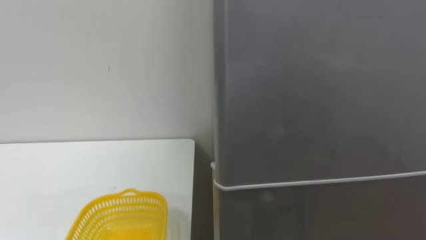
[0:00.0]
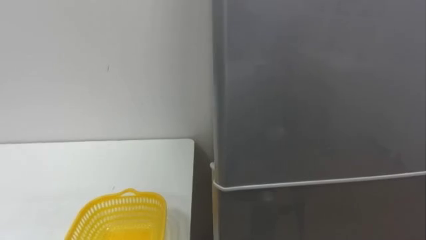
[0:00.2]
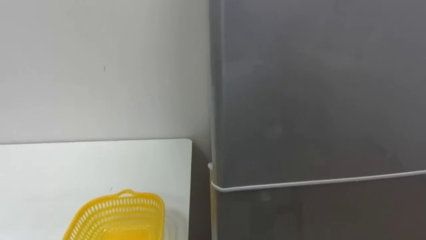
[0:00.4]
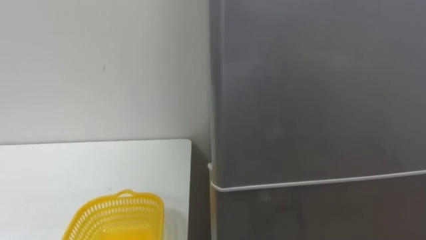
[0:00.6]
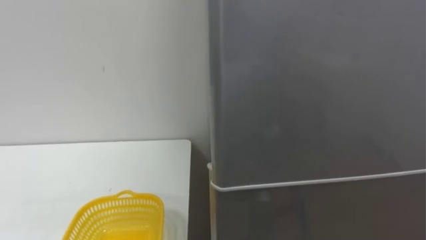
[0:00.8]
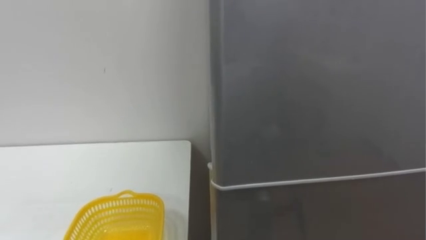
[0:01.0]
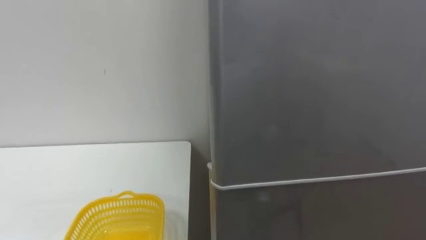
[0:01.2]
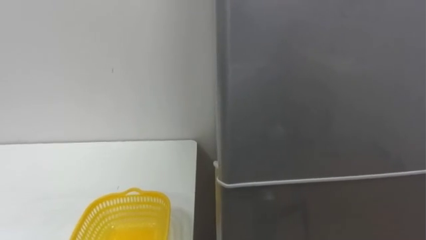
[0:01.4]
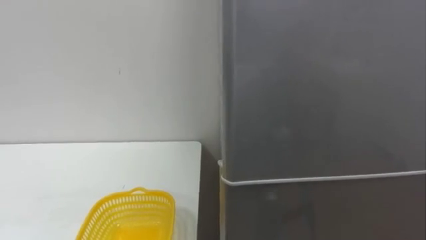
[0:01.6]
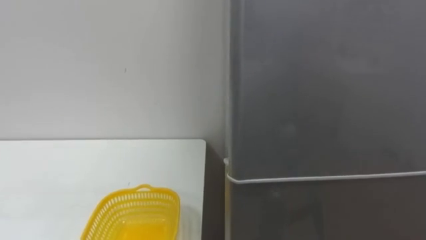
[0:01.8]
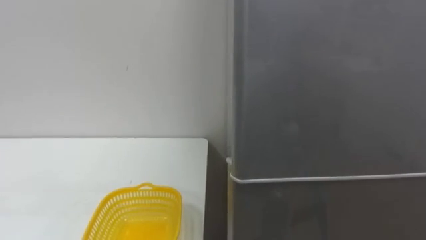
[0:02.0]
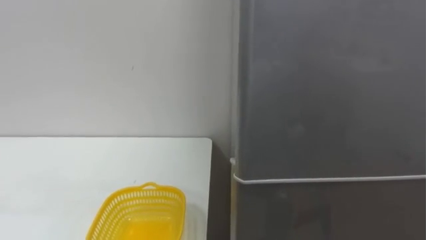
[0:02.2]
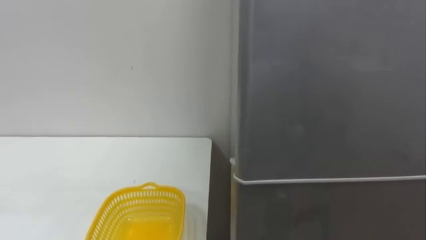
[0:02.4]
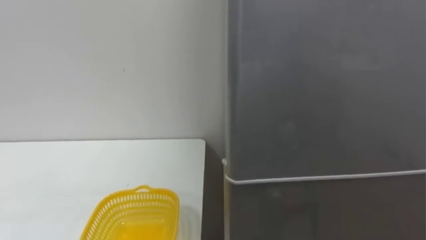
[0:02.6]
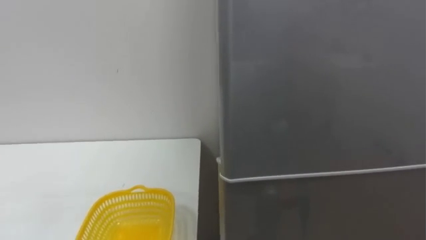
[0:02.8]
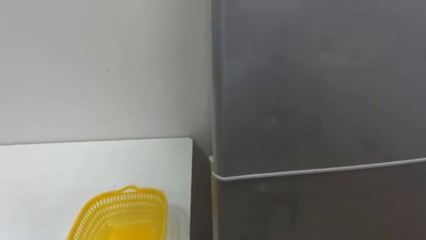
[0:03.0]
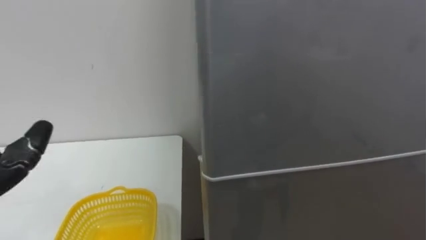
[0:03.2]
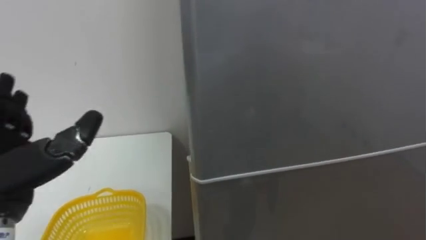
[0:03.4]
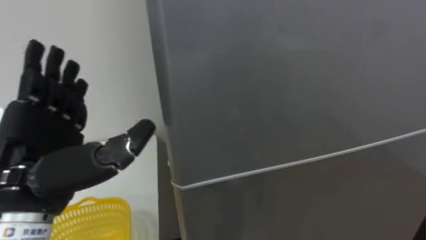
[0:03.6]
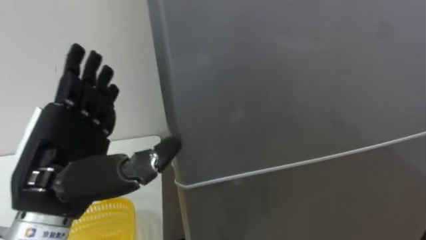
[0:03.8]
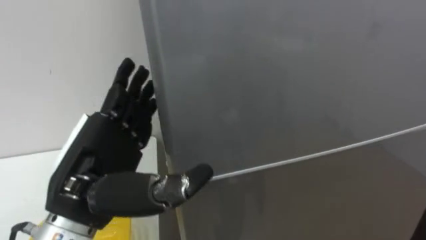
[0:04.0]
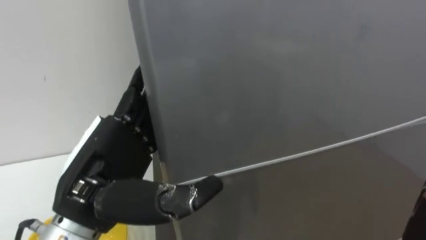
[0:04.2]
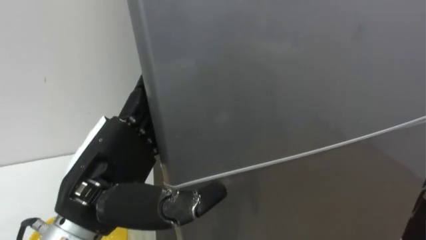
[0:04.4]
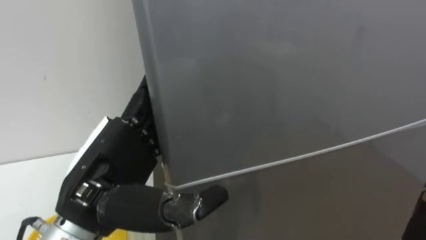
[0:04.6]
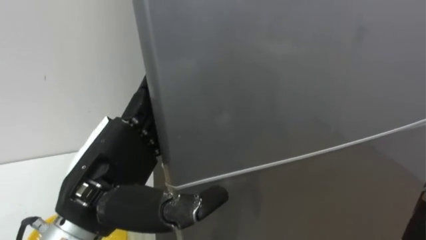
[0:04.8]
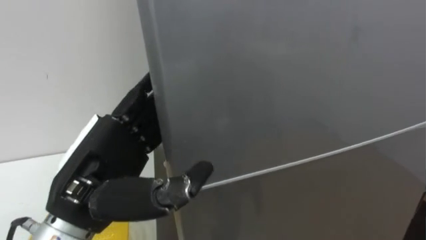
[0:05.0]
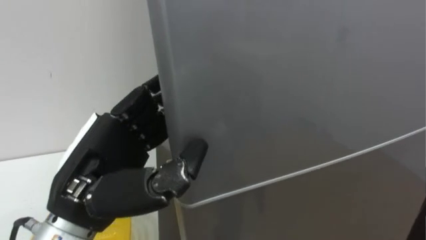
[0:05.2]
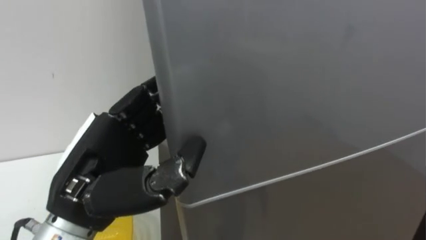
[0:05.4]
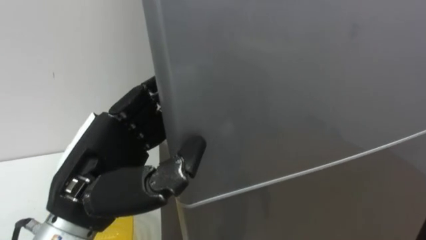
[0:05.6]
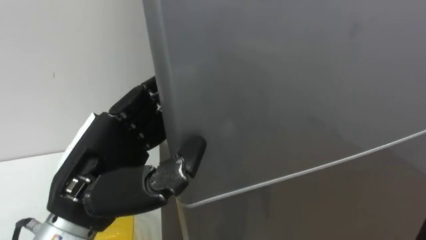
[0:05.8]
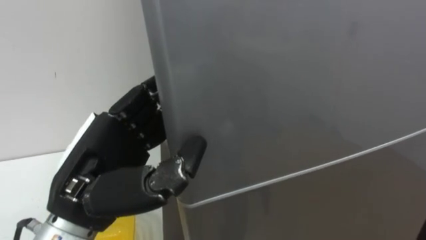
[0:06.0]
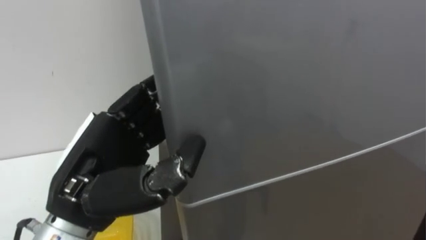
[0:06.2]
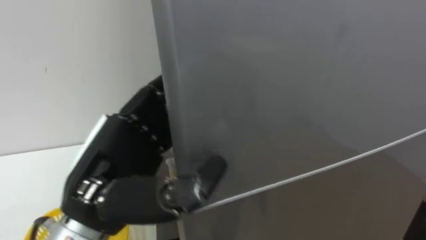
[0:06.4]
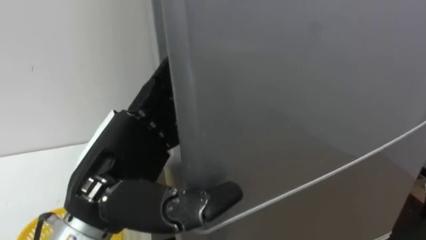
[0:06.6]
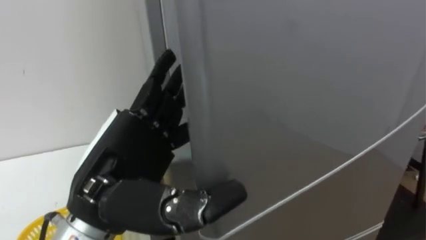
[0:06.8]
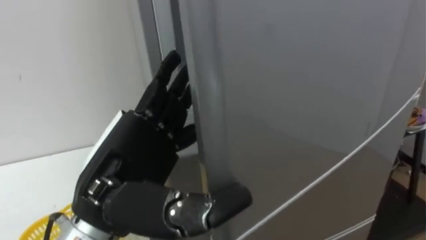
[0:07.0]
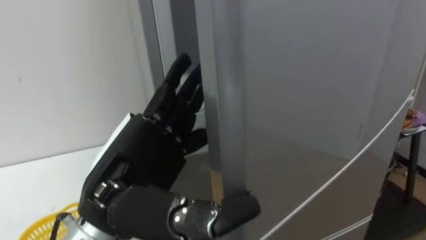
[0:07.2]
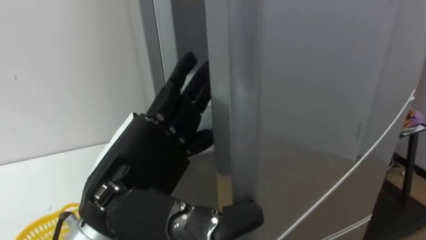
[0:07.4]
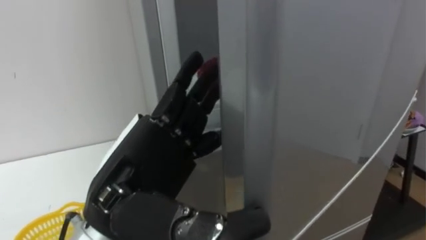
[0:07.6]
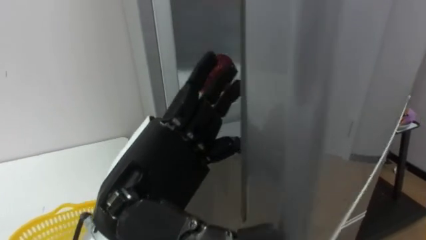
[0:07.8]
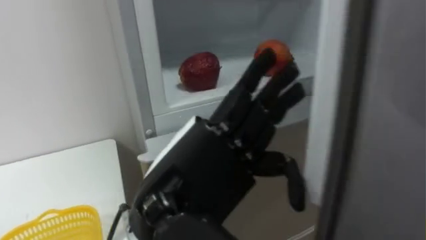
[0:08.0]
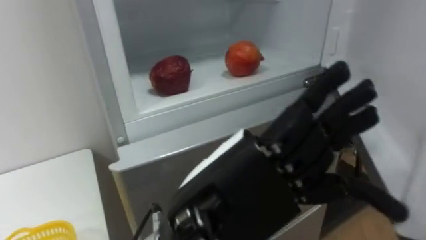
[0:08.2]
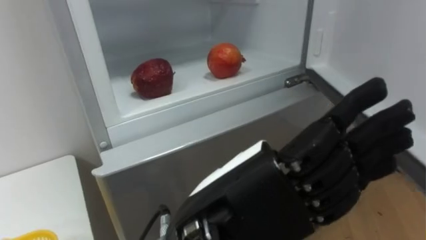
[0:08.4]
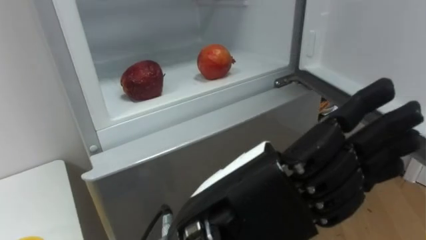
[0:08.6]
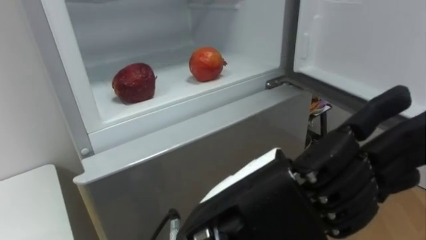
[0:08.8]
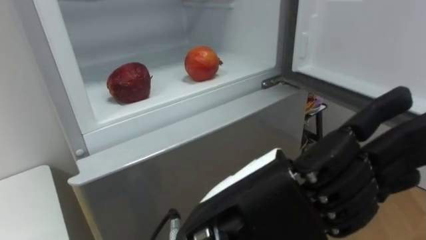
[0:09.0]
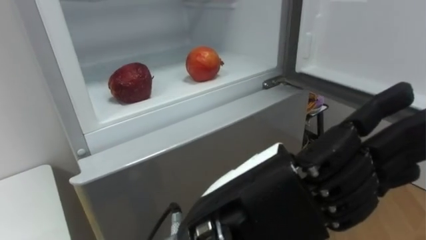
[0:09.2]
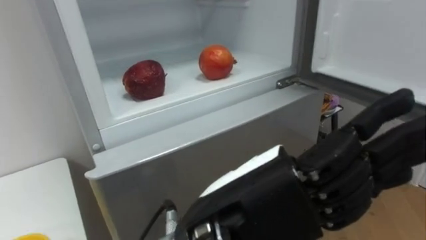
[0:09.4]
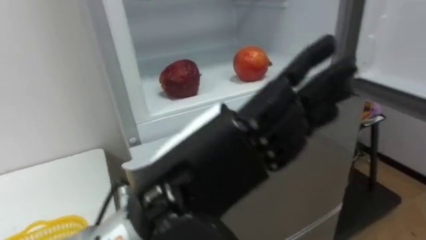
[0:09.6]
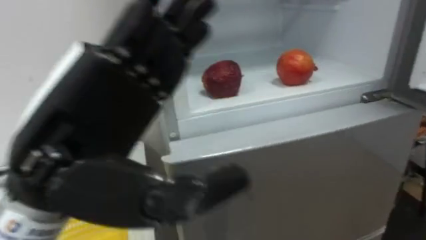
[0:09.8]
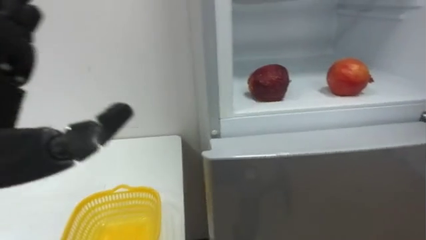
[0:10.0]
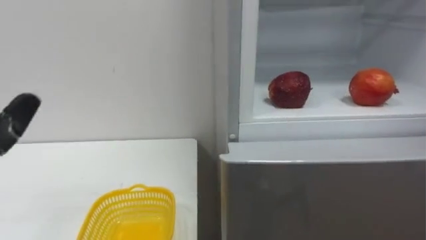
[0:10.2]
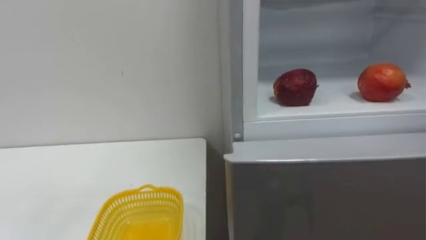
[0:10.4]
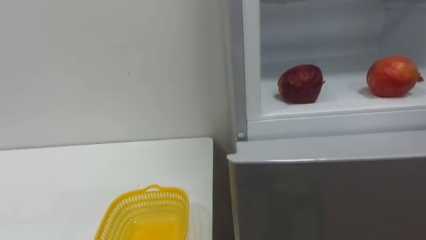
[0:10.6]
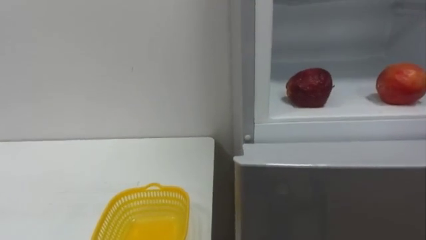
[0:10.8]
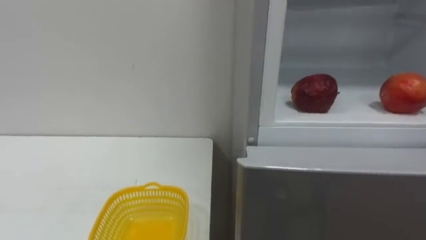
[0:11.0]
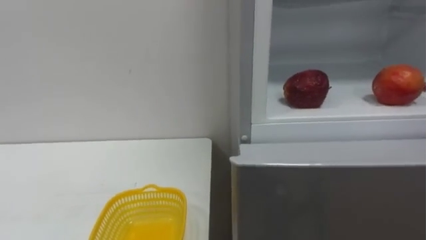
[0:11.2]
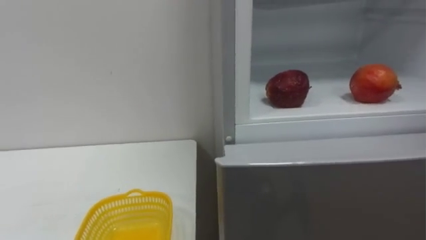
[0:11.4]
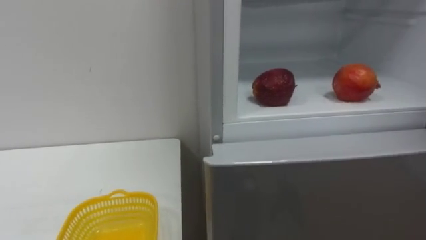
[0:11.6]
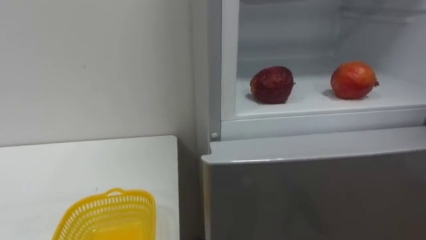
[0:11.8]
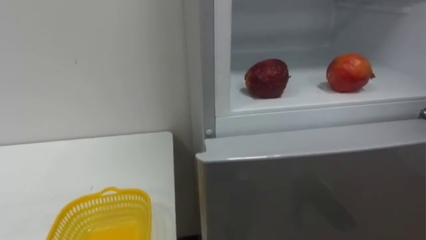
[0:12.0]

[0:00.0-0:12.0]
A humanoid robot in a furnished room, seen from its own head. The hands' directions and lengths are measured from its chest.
Task of the whole recording: Open the refrigerator door, take out the apple and the pomegranate, place them in the fruit basket on the left, and close the refrigerator door.
0:04.4 to 0:06.0: The left hand closes up.
0:06.0 to 0:07.6: The left hand changes place by some 5 cm, and opens.
0:07.6 to 0:09.0: The left hand travels to the right and backward by approximately 10 cm.

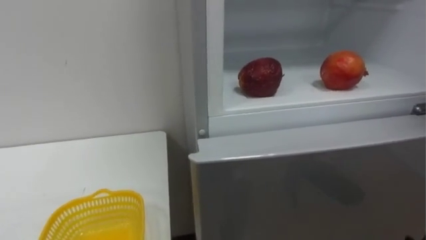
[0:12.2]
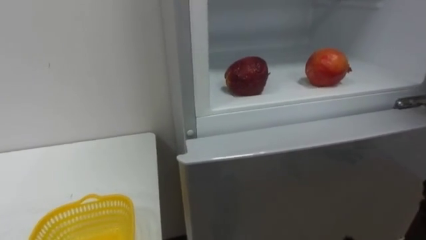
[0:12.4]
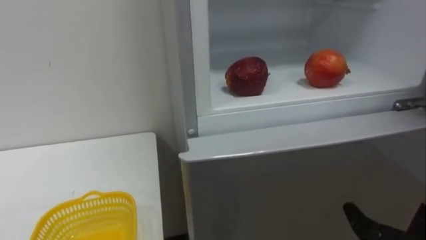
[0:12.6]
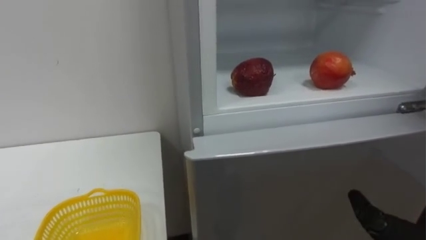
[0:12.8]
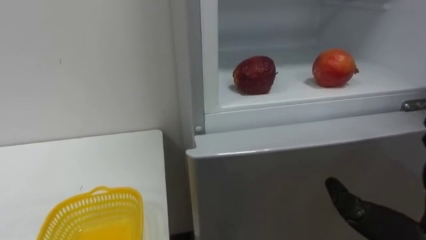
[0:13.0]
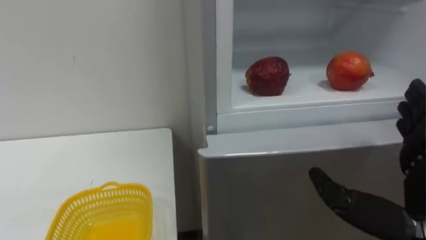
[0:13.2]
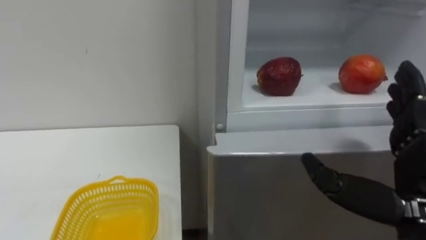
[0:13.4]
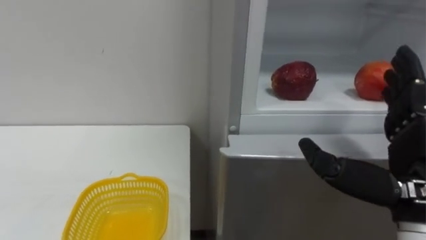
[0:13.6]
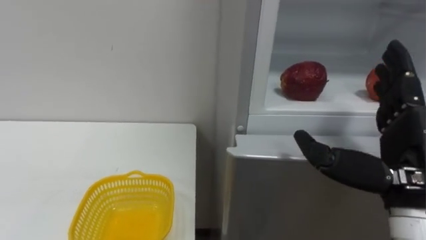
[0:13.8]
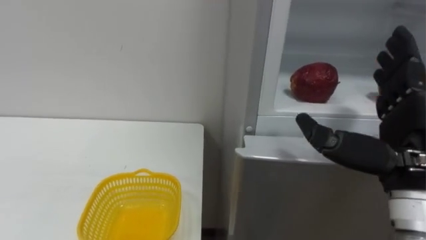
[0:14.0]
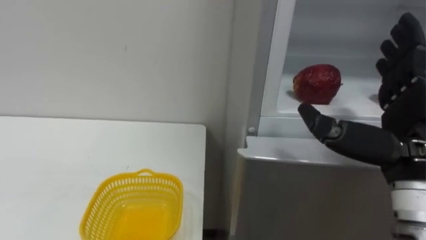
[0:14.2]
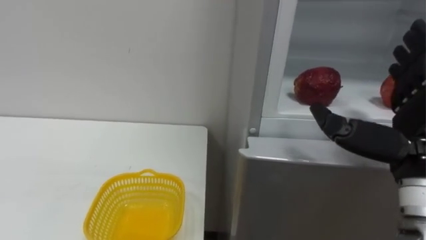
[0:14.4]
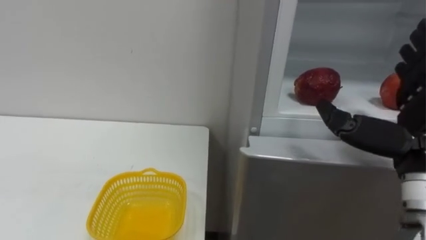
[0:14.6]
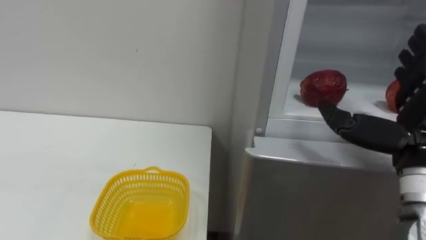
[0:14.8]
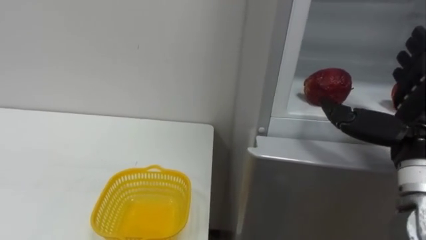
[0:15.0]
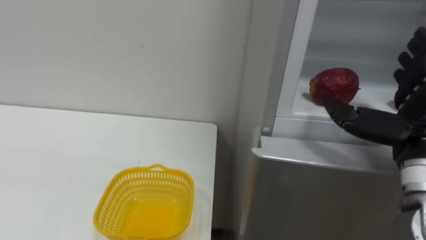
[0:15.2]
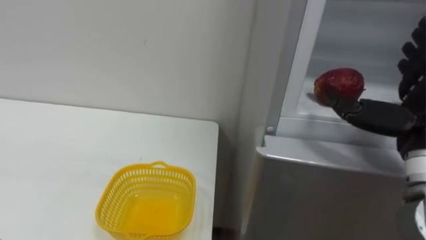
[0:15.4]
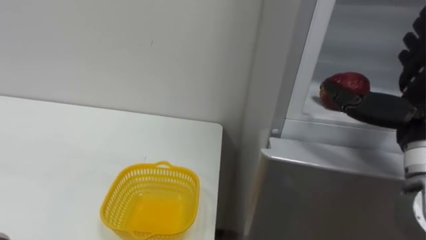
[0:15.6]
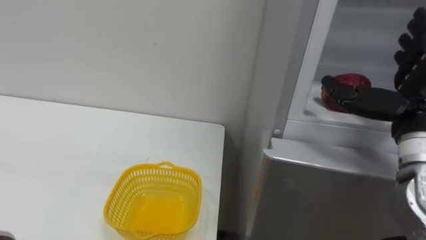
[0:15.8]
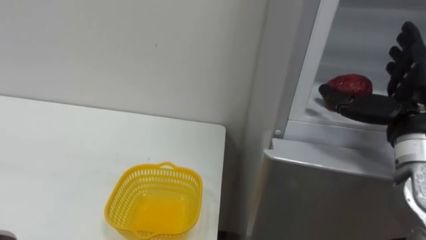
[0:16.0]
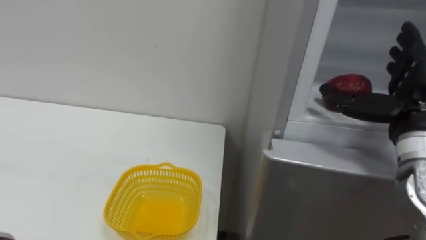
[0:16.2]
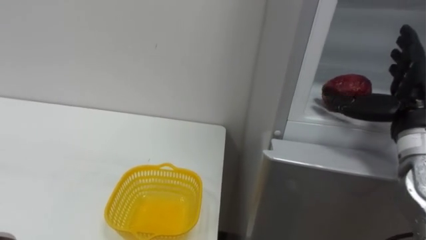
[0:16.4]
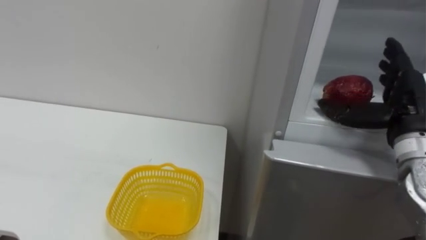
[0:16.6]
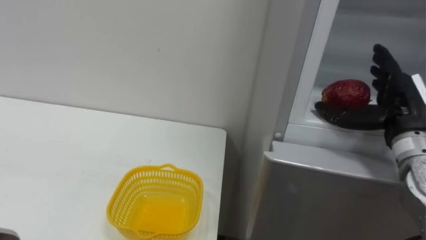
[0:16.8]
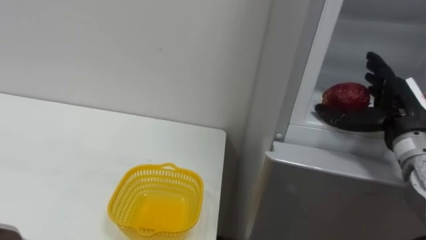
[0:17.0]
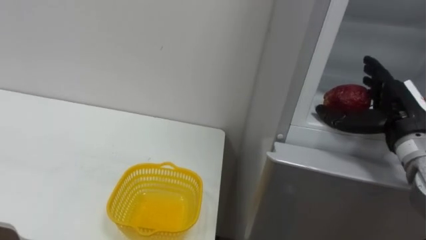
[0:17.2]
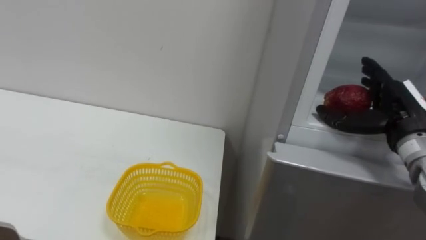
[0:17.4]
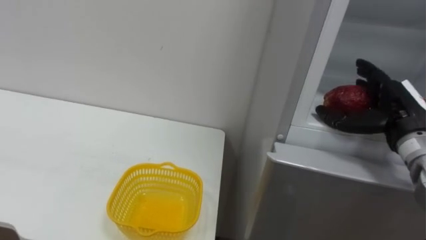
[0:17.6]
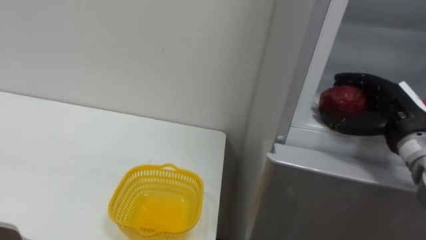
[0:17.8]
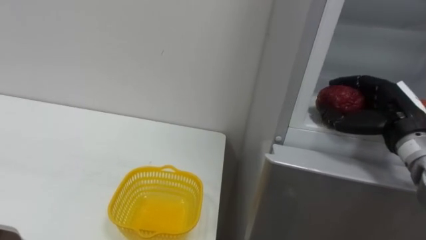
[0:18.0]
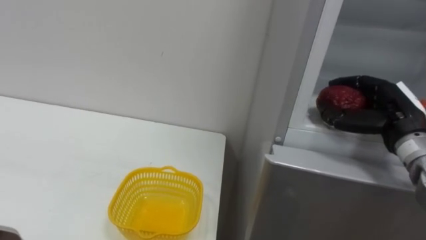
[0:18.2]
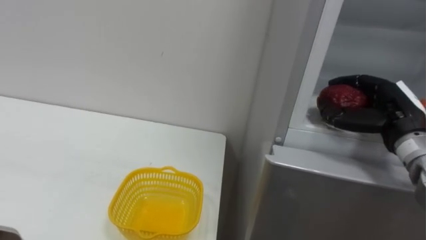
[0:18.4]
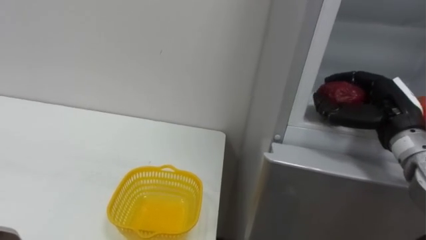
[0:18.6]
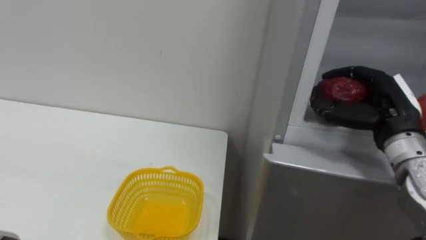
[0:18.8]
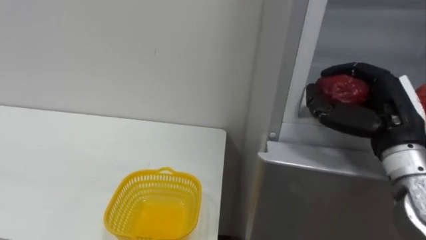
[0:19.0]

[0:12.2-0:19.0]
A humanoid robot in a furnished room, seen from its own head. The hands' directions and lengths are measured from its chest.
Task of the whole recording: Open the refrigerator door, take out the apple and the pomegranate, place them in the fruit basket on the left, and close the refrigerator door.
0:13.6 to 0:15.0: The right hand shifts roughly 5 cm forward.
0:16.2 to 0:17.6: The right hand shifts by some 5 cm.
0:17.6 to 0:19.0: The right hand shifts by approximately 5 cm, and closes up.
